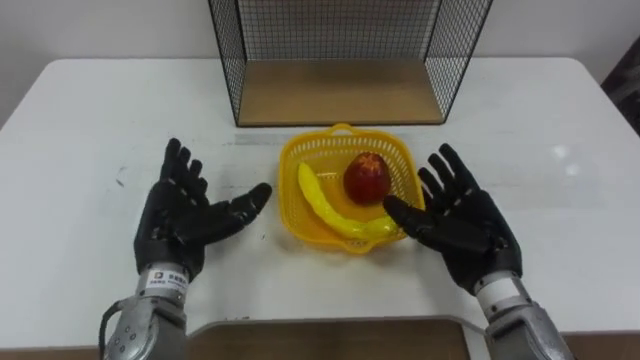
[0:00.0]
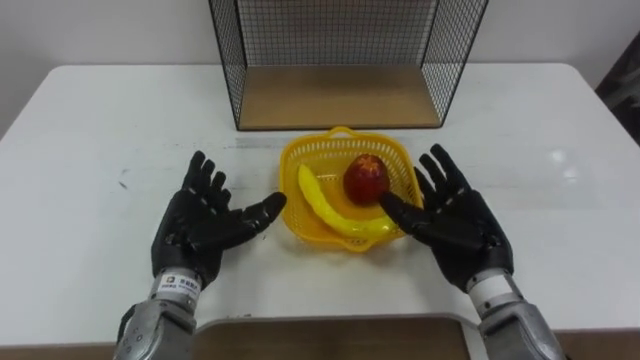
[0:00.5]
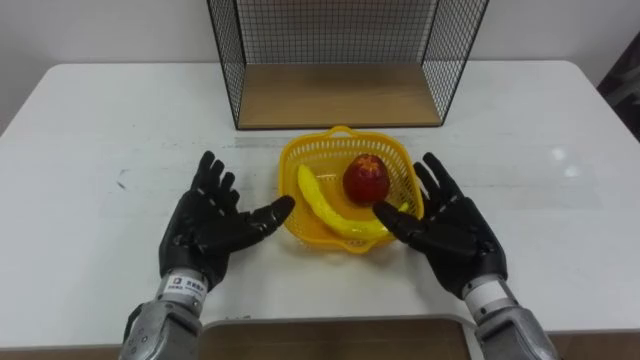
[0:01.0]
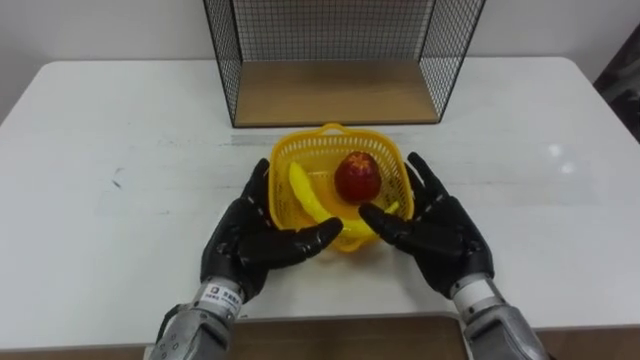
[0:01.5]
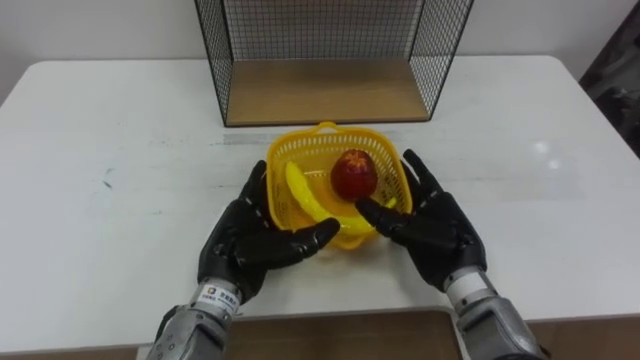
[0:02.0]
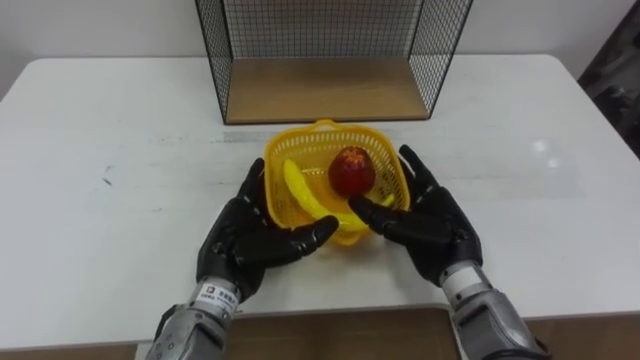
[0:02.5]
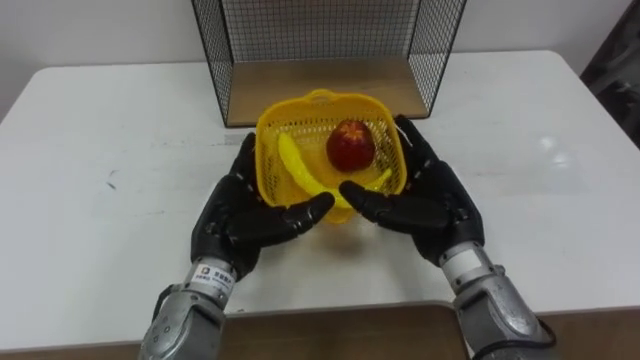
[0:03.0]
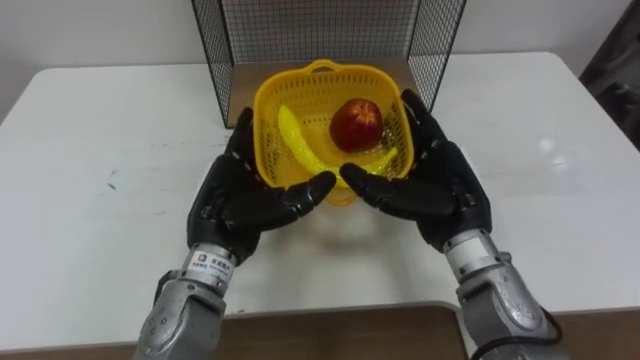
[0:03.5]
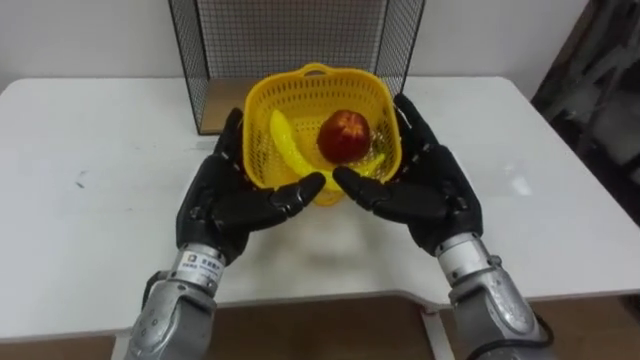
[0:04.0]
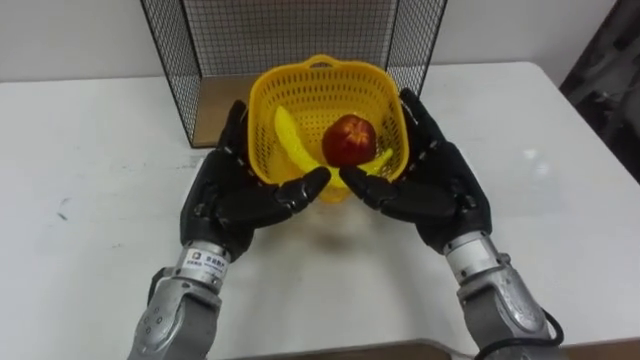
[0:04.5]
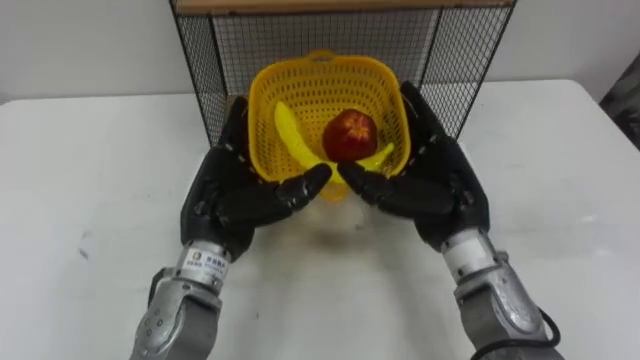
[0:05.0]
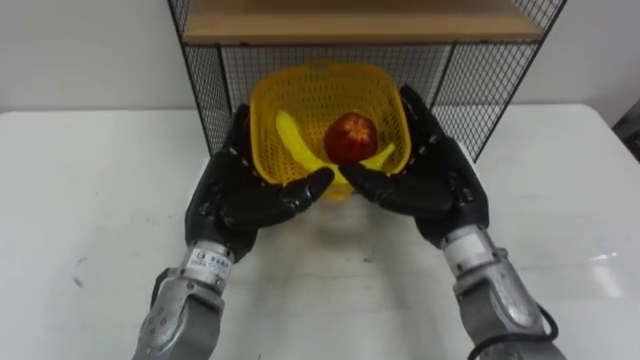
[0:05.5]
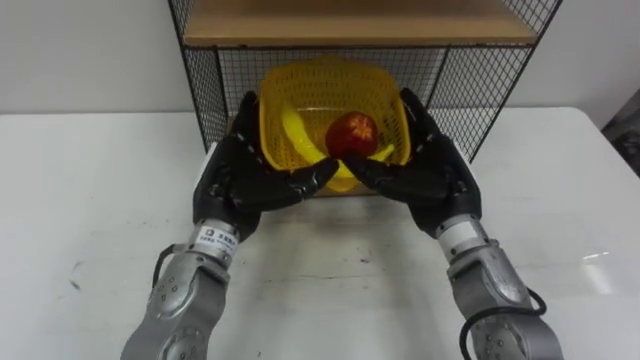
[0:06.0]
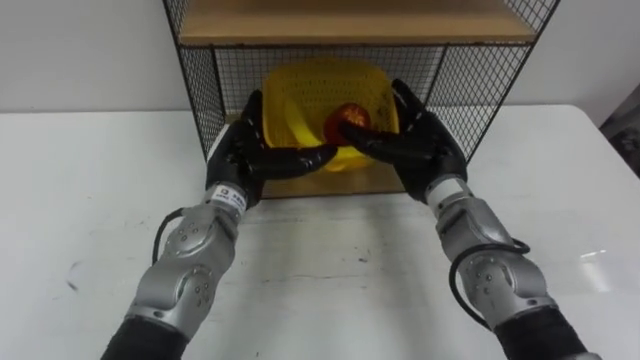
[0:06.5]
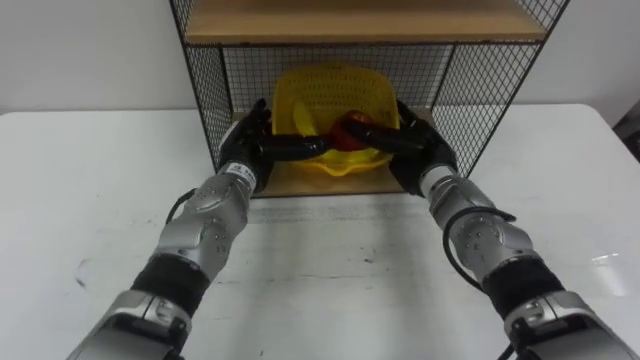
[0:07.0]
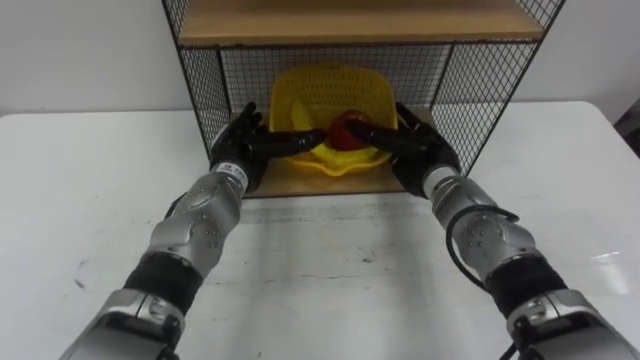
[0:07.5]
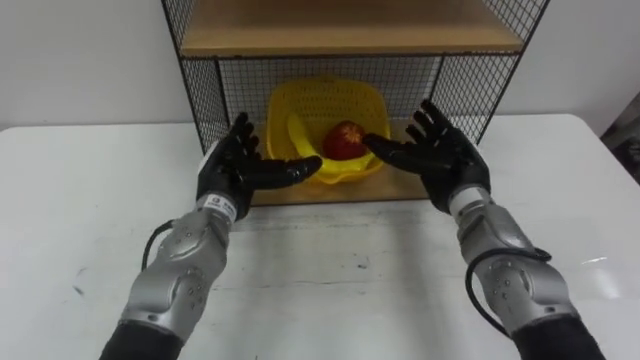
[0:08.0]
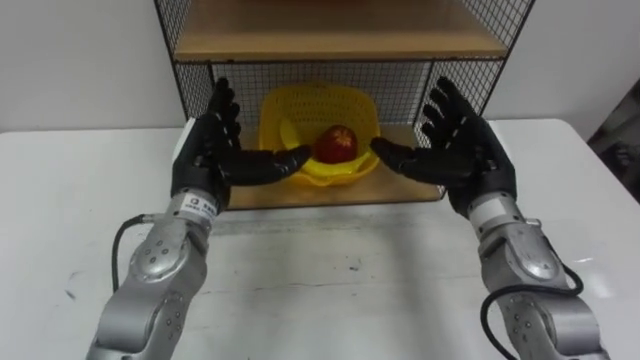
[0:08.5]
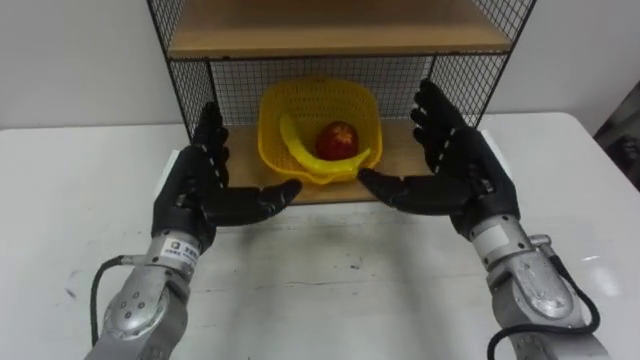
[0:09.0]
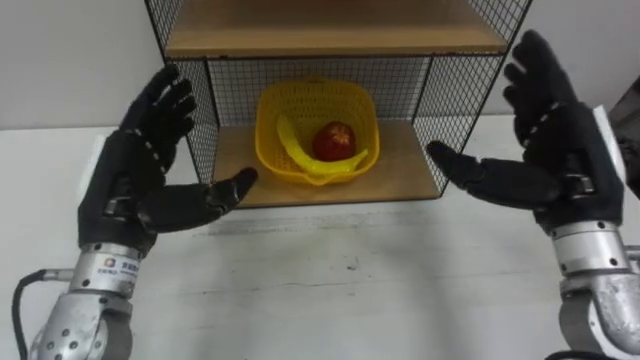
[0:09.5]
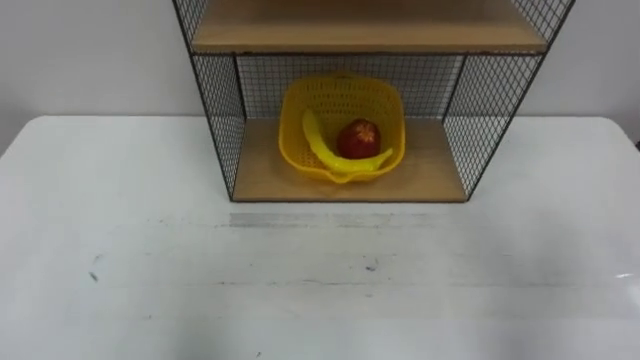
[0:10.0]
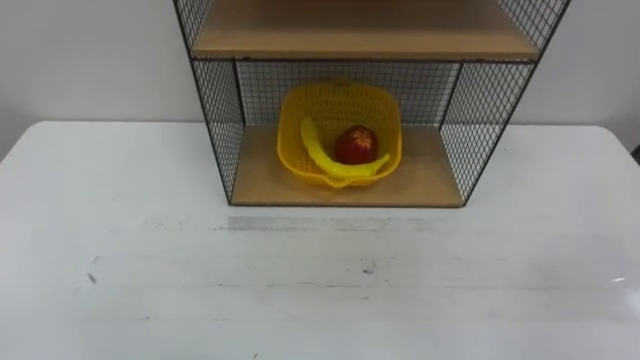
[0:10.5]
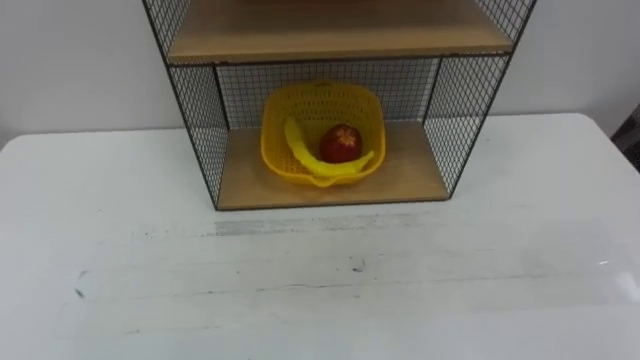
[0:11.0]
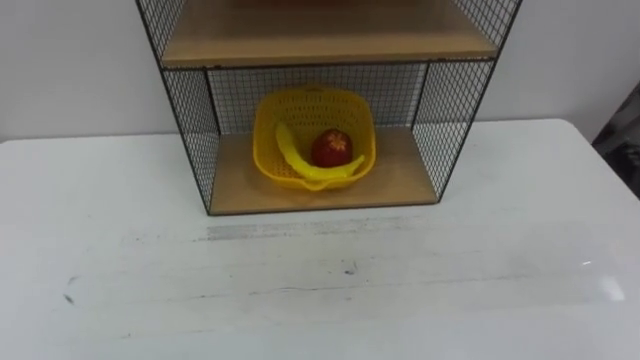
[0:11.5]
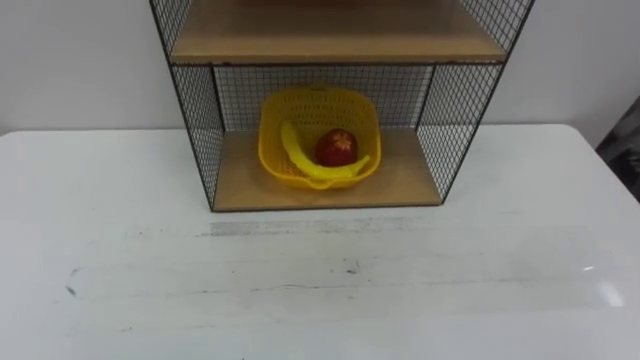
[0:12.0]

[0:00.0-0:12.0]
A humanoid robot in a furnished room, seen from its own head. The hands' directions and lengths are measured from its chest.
Task of the whole recording: Put the fruit on the table into the basket, then place the basket on the shelf.
0:00.0 to 0:02.0: The left hand moves to the right, approximately 10 cm.
0:02.0 to 0:04.0: The hands both shift upward by about 5 cm.
0:06.0 to 0:08.0: The right hand shifts by roughly 5 cm, while the left hand goes approximately 5 cm forward.

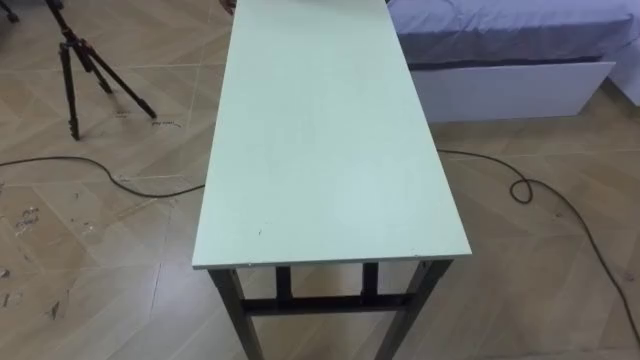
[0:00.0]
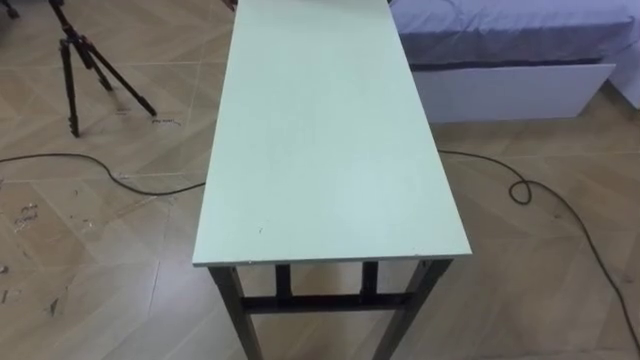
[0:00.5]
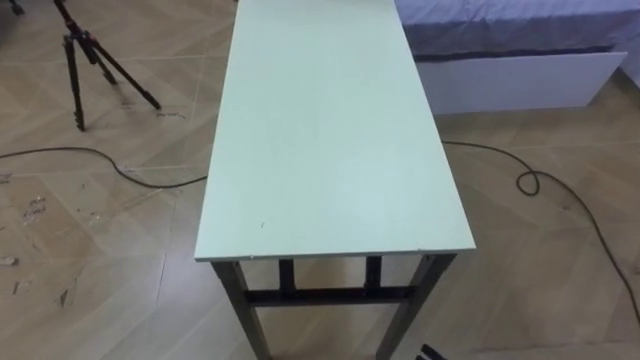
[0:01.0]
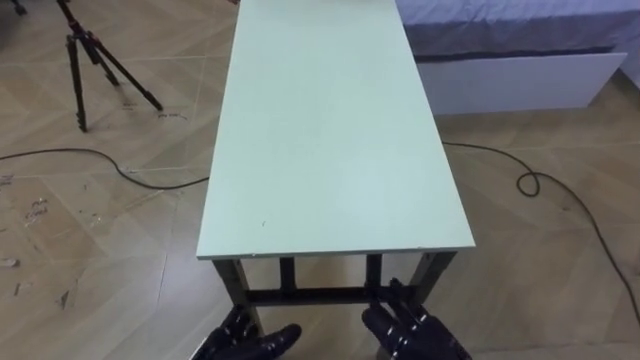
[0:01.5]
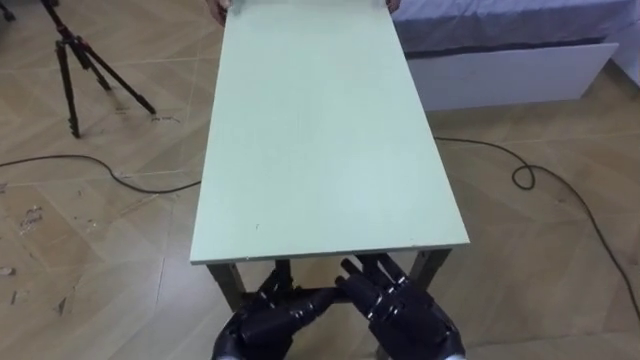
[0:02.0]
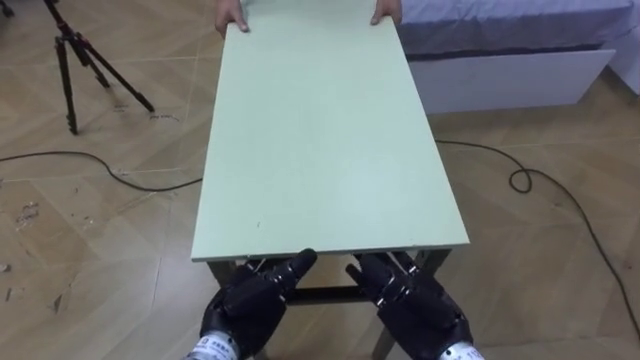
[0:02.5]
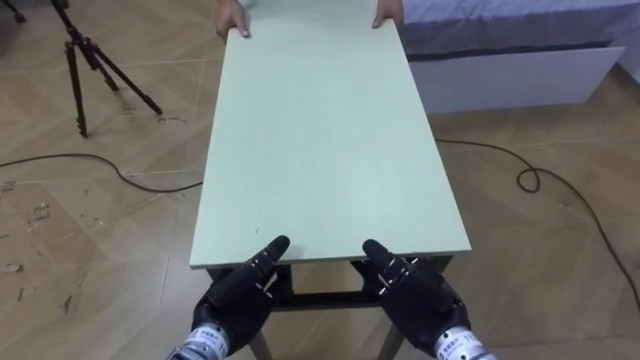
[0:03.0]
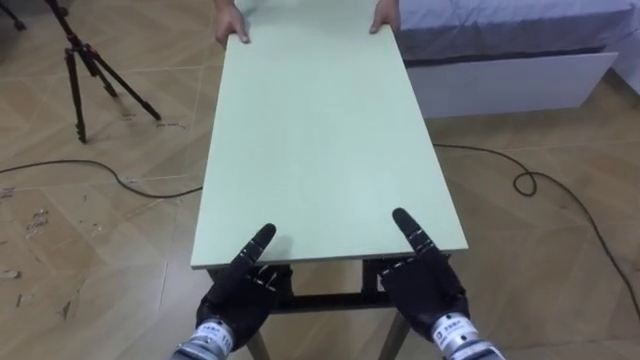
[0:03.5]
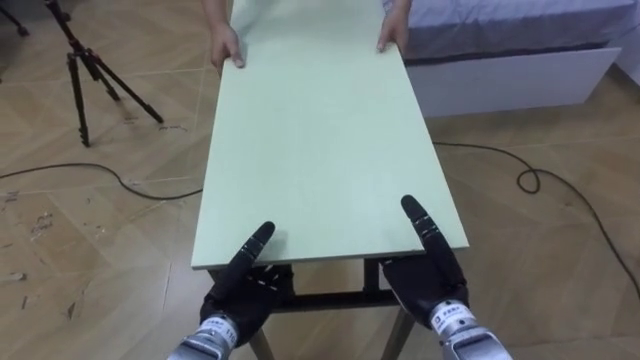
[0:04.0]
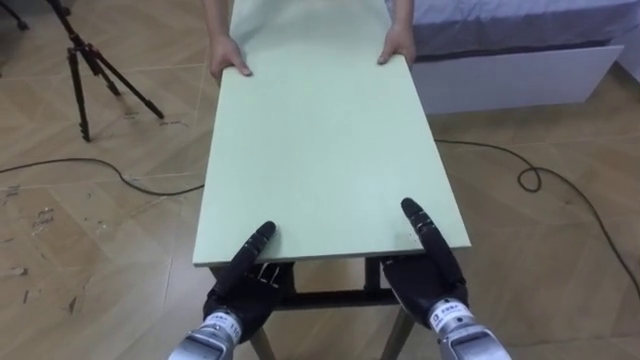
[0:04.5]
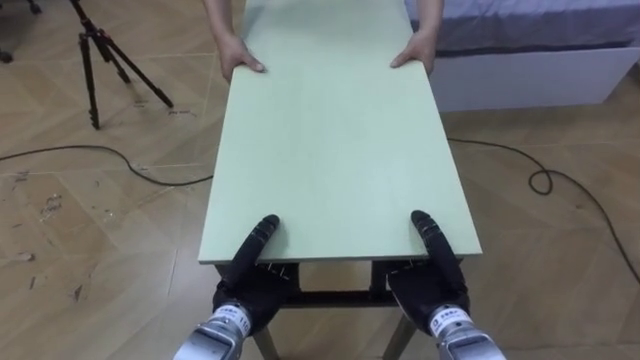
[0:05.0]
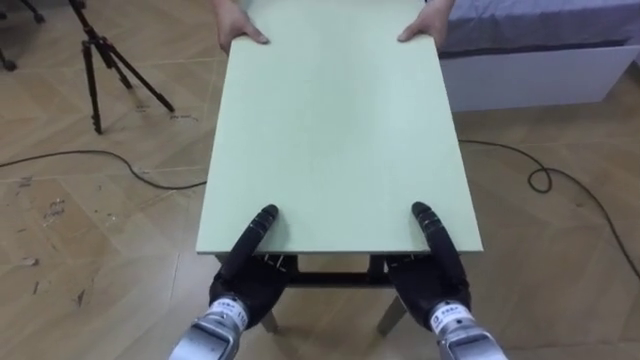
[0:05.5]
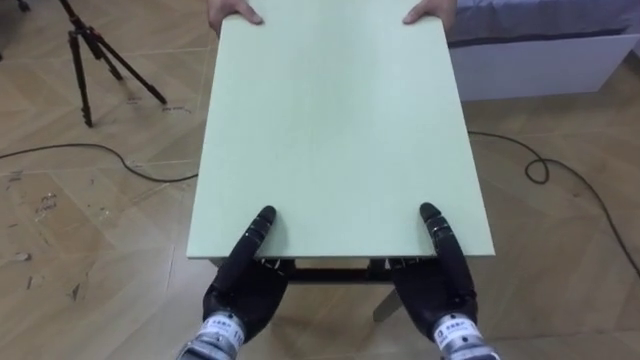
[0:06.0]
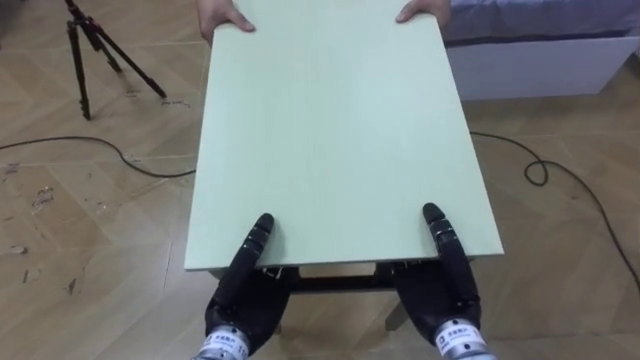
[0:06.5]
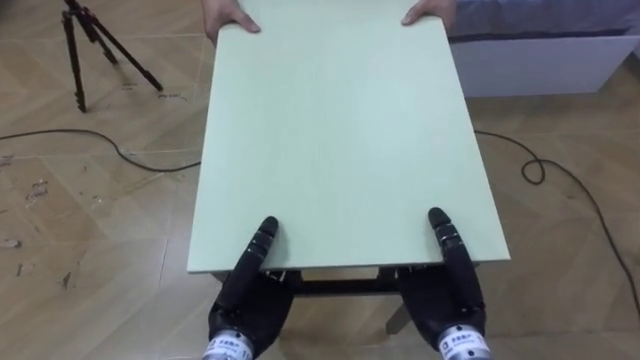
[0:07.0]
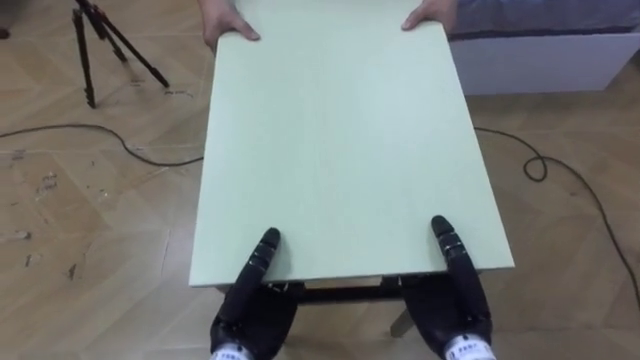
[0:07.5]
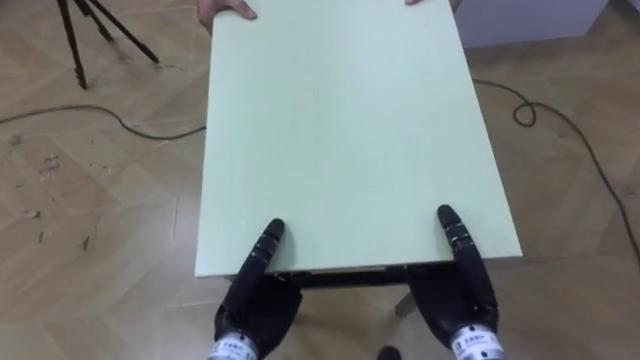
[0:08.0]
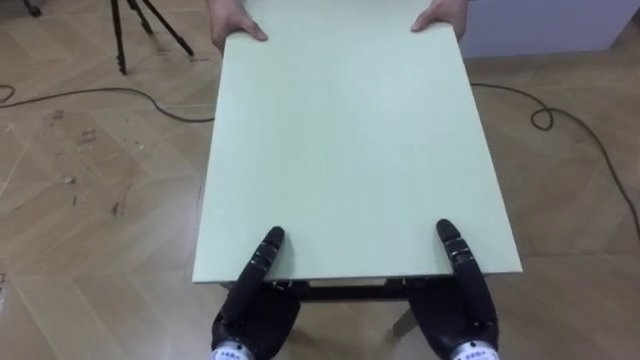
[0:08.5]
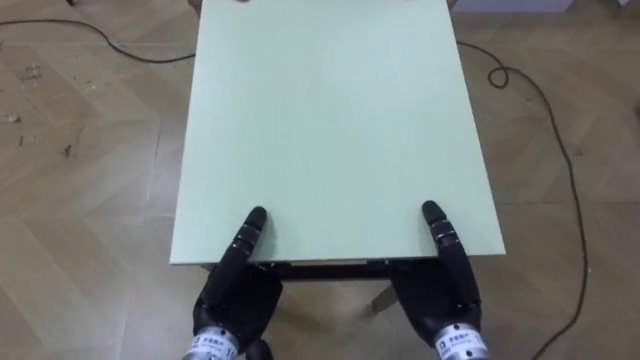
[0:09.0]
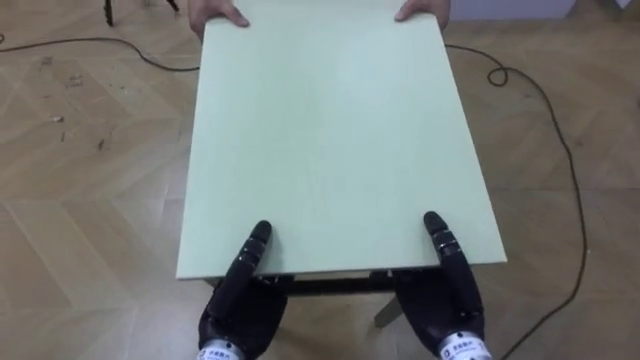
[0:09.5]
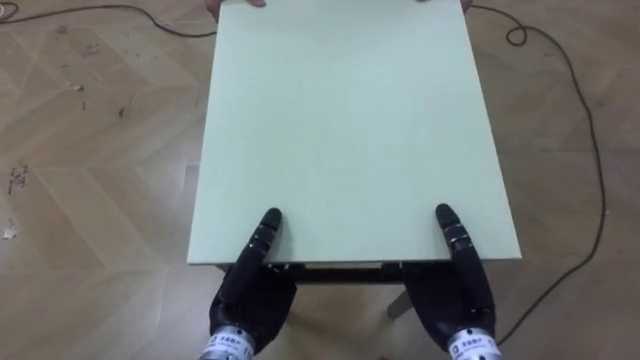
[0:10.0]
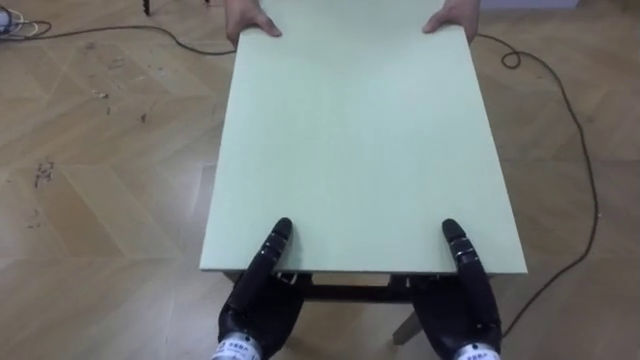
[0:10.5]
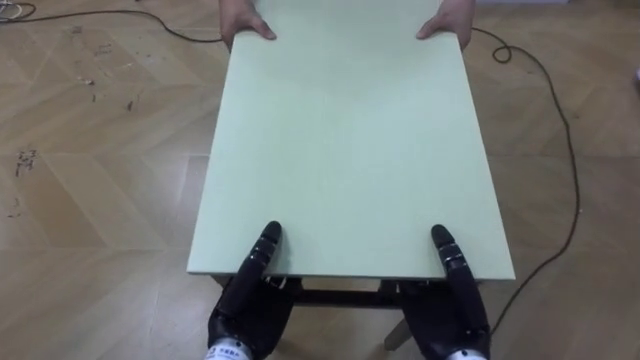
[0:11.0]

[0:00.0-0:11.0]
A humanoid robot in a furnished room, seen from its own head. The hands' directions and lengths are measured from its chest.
Task of the whole recording: Move the table to the back left with someone.
0:02.0 to 0:03.5: The left hand changes place by some 5 cm.
0:03.5 to 0:05.5: The left hand closes up, while the right hand closes its fingers.
0:05.5 to 0:07.5: The left hand changes place by approximately 5 cm.
